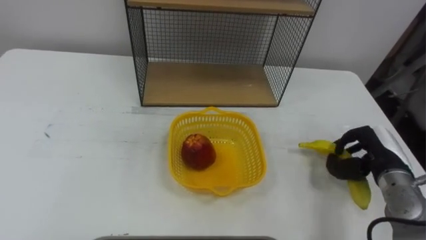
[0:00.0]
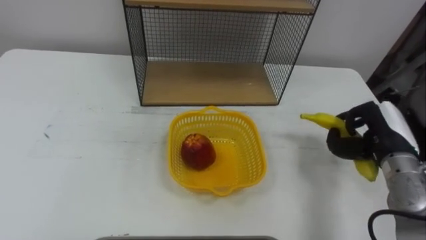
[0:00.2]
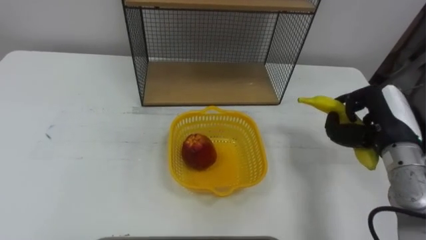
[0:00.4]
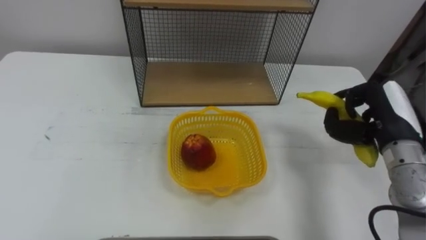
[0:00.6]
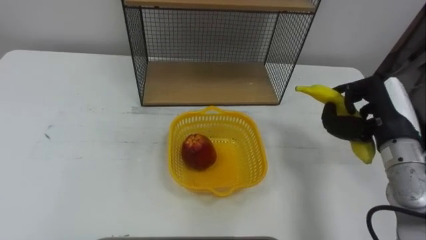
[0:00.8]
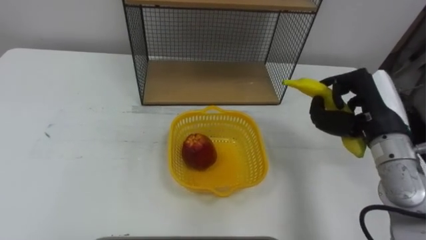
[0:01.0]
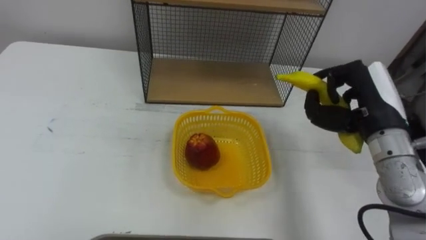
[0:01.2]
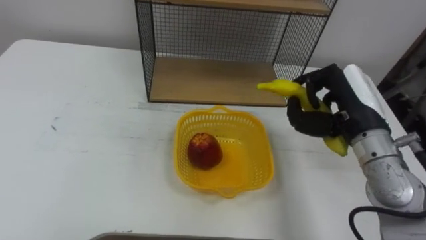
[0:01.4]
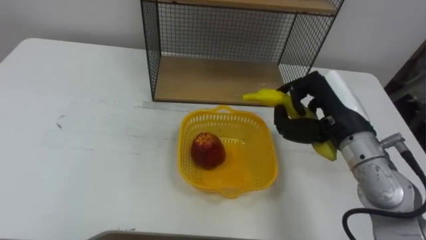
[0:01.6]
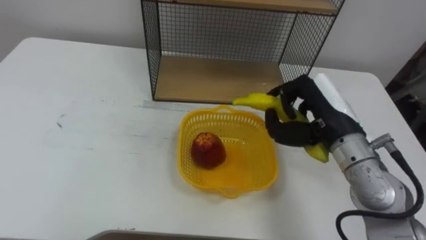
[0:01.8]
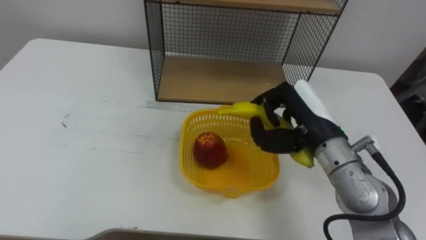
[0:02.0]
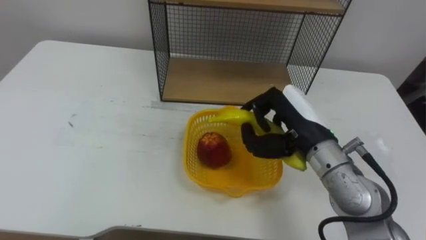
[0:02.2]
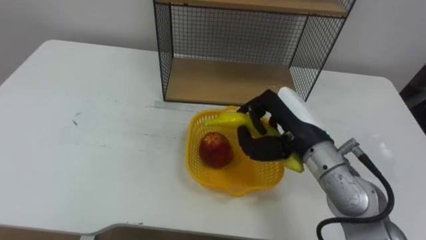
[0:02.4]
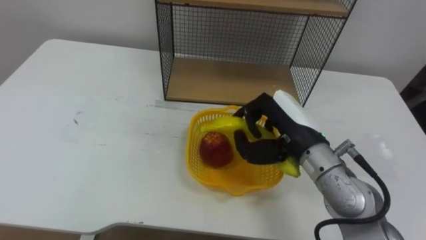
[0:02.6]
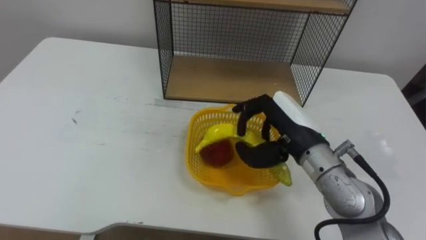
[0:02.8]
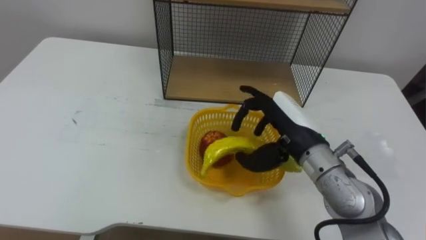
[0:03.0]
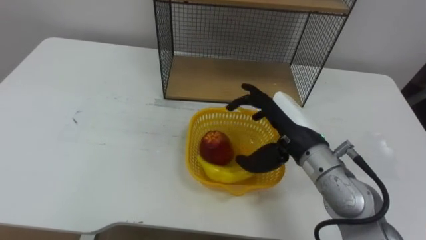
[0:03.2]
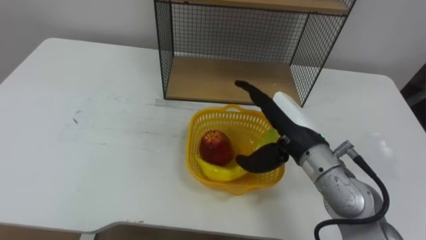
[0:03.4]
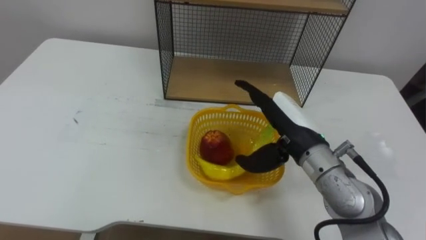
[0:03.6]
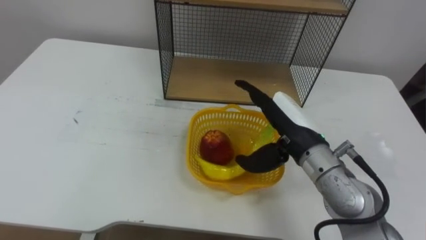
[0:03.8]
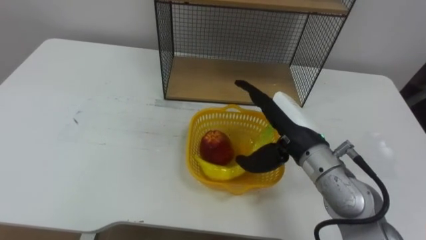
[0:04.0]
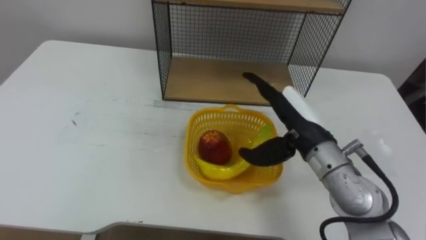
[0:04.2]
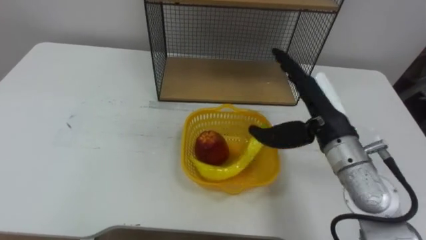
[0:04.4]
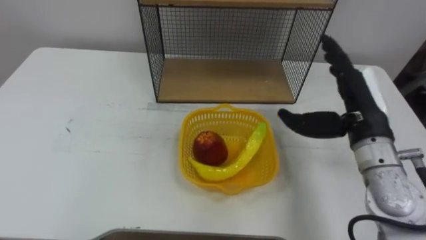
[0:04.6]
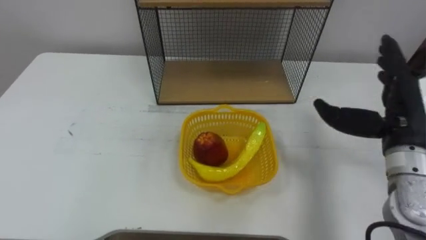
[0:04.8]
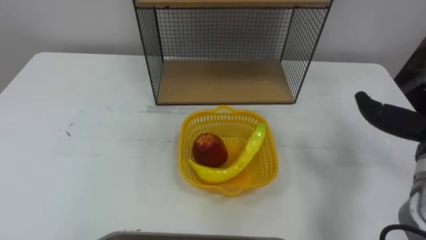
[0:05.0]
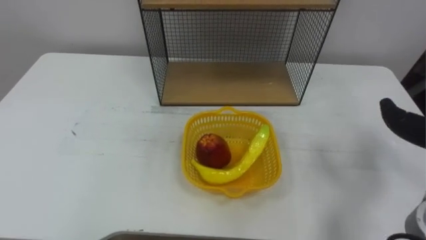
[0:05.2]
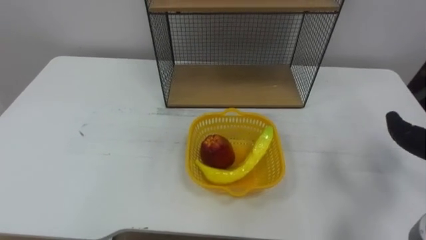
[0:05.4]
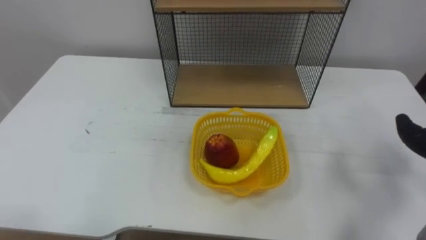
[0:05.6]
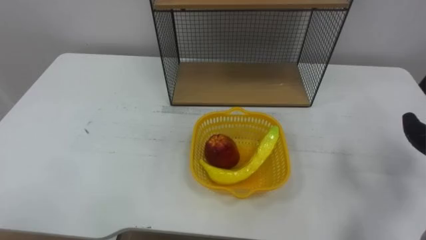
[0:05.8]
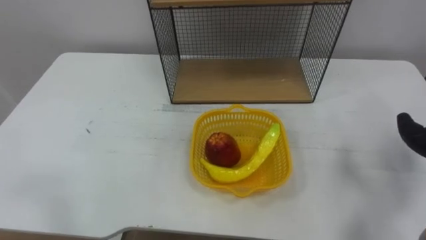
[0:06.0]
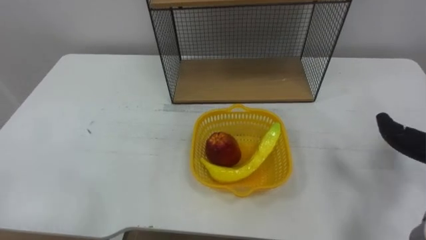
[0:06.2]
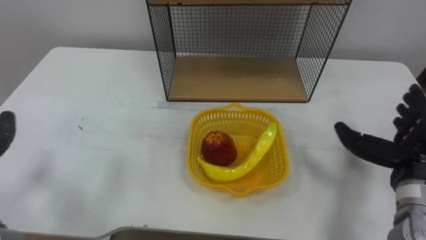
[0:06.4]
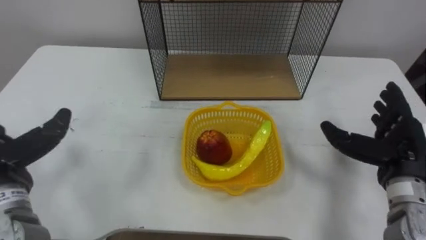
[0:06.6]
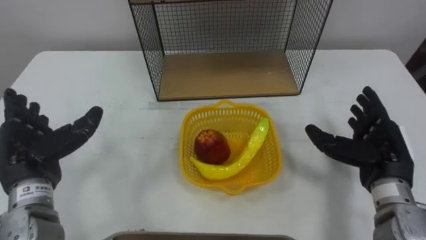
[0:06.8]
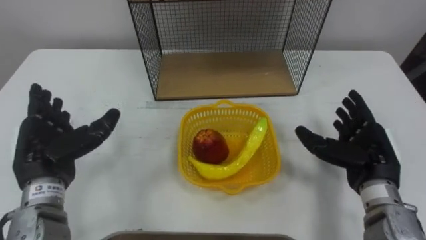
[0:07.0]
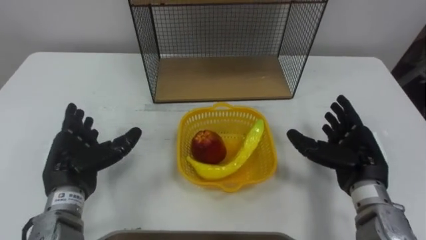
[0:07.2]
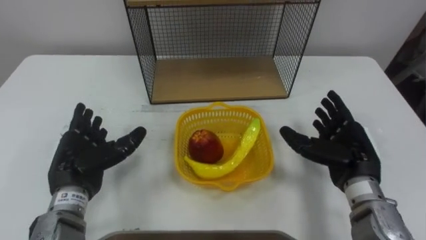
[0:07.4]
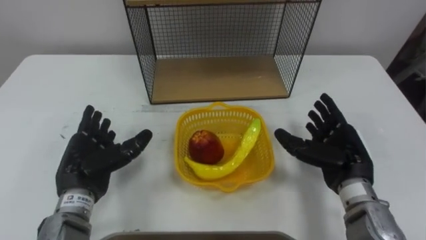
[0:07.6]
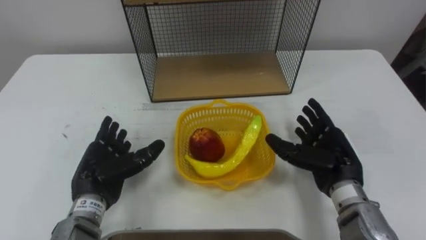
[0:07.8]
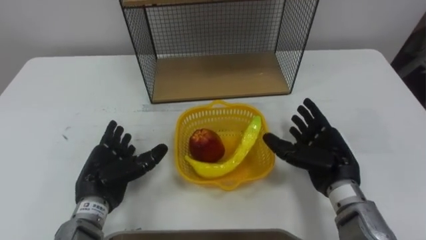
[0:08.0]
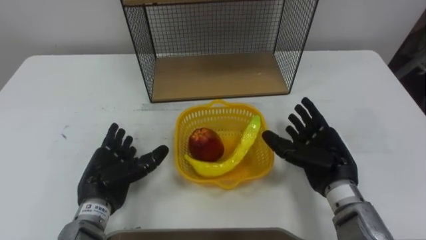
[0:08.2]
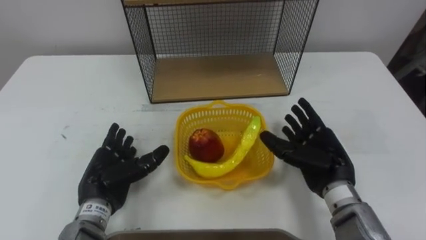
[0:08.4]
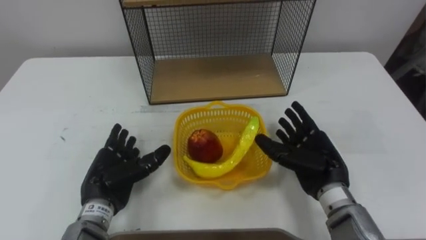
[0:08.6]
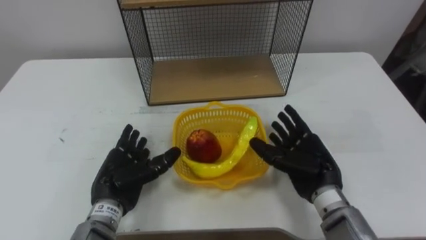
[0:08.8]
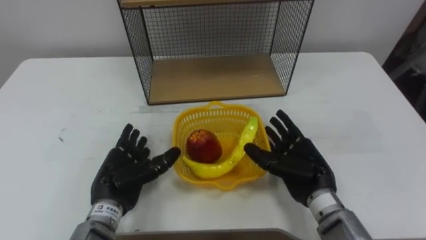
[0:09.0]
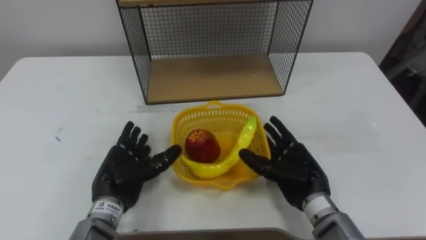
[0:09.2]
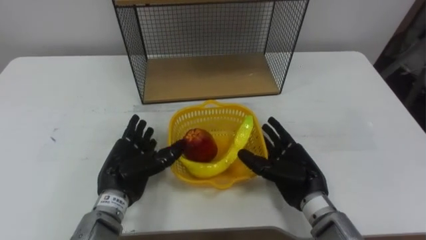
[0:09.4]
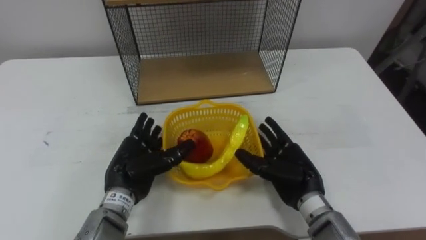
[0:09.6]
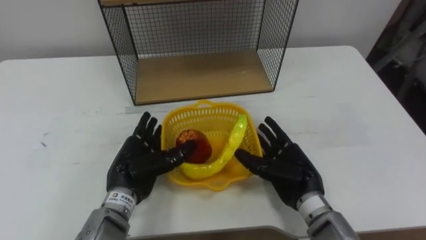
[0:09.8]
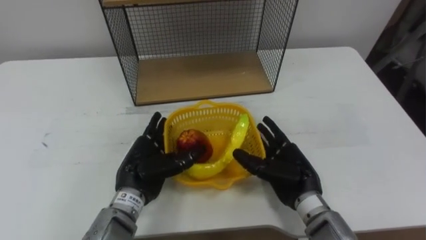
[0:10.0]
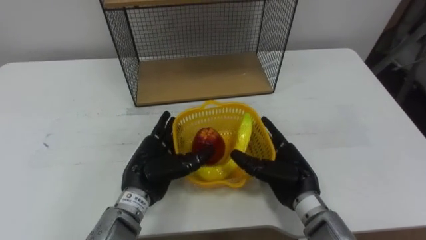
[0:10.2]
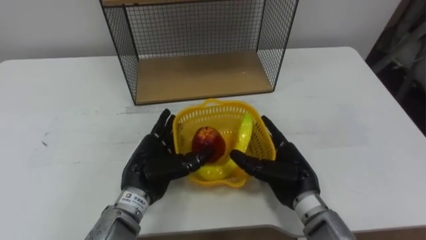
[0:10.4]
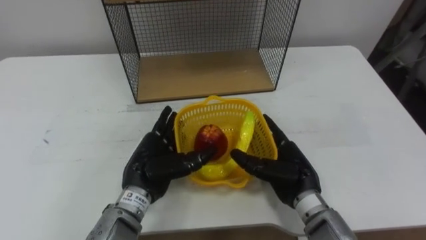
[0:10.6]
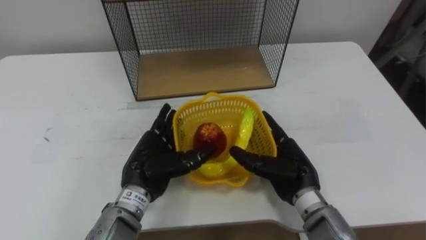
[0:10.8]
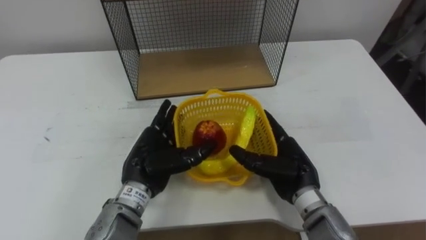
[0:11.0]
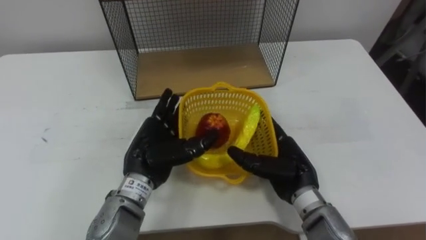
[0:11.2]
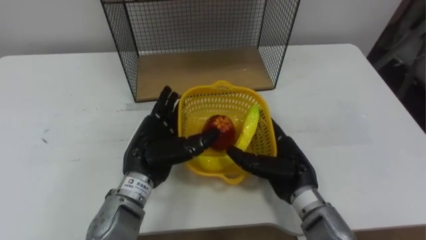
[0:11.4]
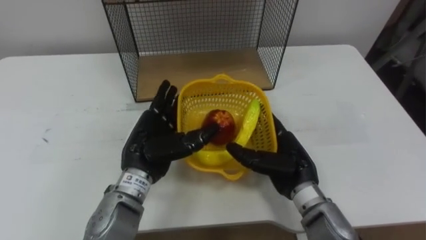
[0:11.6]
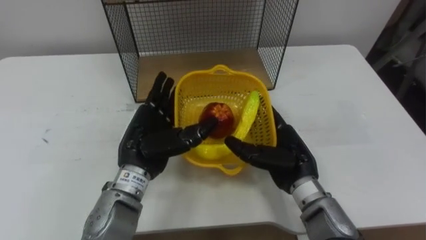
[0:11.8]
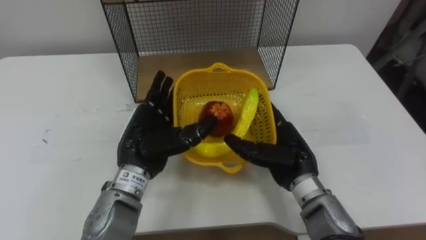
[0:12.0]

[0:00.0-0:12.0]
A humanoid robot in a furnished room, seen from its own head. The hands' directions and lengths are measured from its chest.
Task of the whole recording: Put the fruit on the table into the basket, then place the basket on the shelf.
0:00.0 to 0:01.6: The right hand heads upward and to the left, covering about 15 cm.
0:01.6 to 0:03.0: The right hand moves to the left, approximately 5 cm, and opens its fingers.
0:03.0 to 0:04.4: The right hand changes place by roughly 5 cm.
0:07.6 to 0:09.0: The left hand changes place by approximately 5 cm. Meanwhile the right hand shifts roughly 5 cm to the left.
0:09.0 to 0:10.4: The left hand goes some 5 cm to the right.
0:10.4 to 0:12.0: The left hand goes approximately 5 cm upward.

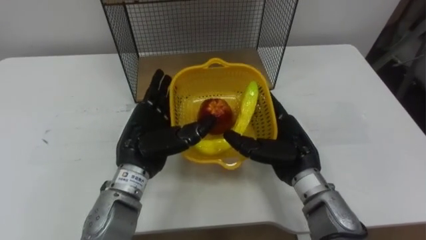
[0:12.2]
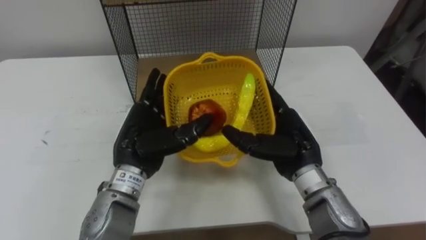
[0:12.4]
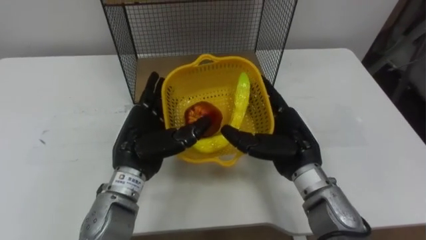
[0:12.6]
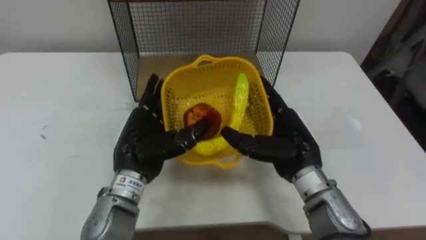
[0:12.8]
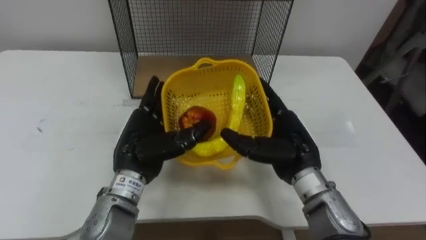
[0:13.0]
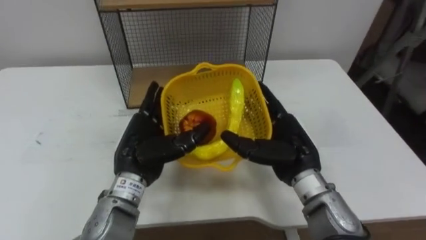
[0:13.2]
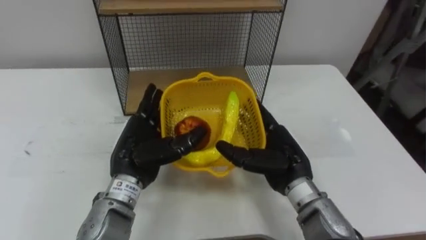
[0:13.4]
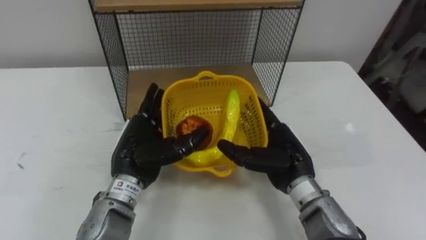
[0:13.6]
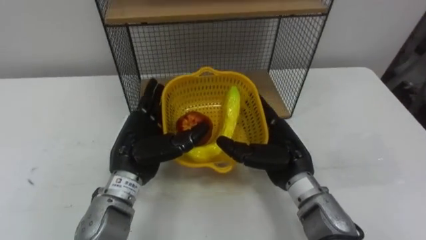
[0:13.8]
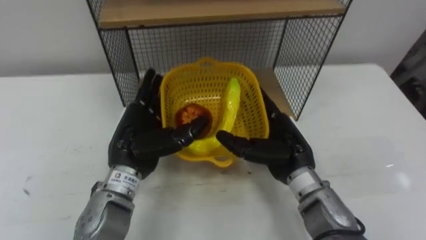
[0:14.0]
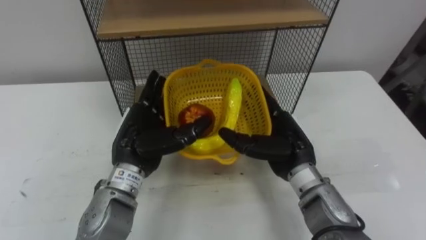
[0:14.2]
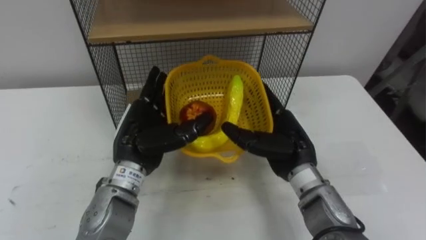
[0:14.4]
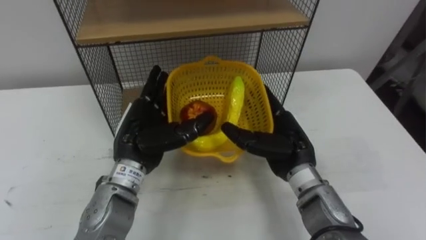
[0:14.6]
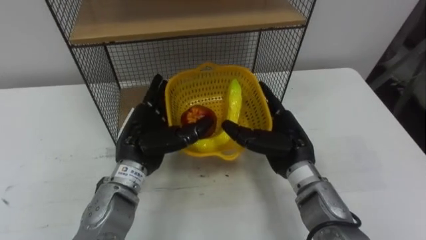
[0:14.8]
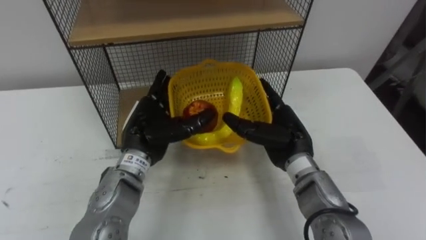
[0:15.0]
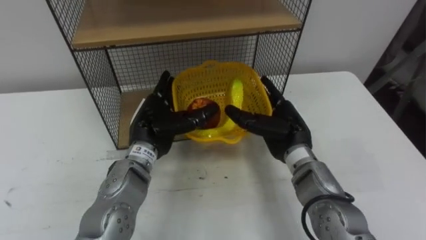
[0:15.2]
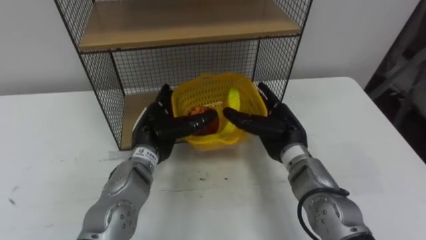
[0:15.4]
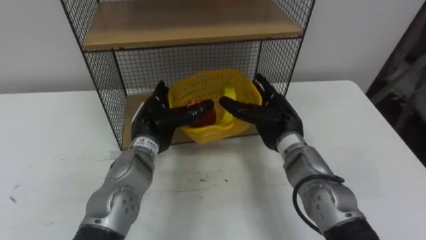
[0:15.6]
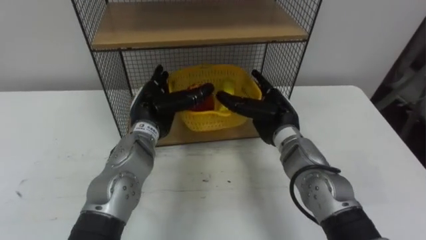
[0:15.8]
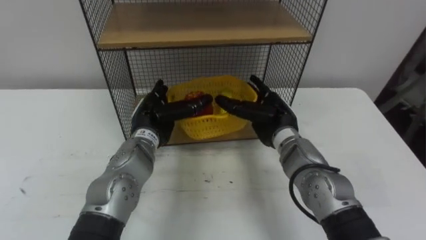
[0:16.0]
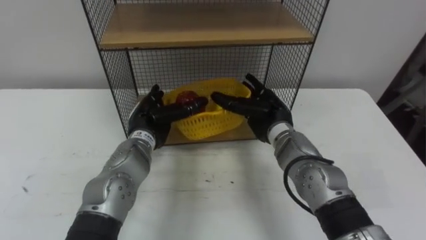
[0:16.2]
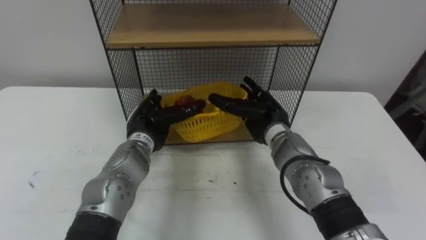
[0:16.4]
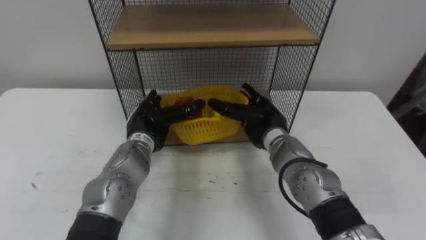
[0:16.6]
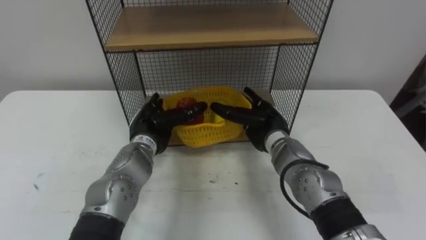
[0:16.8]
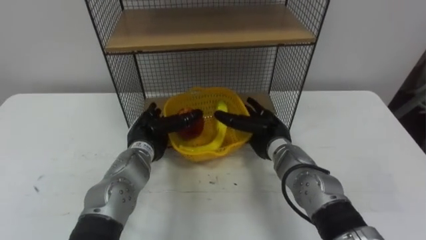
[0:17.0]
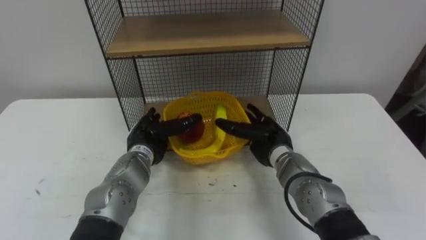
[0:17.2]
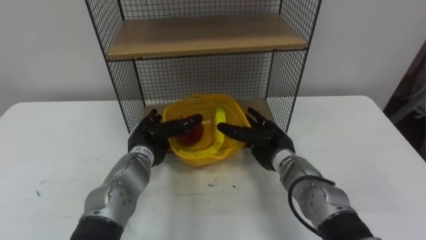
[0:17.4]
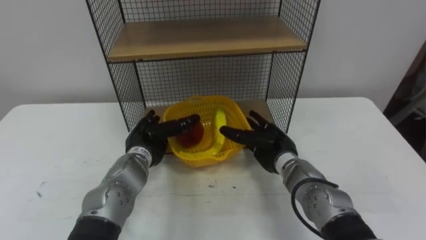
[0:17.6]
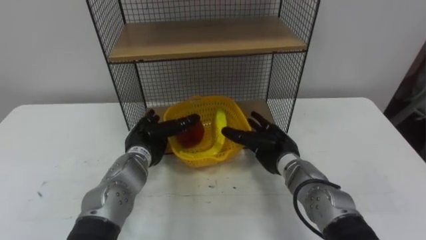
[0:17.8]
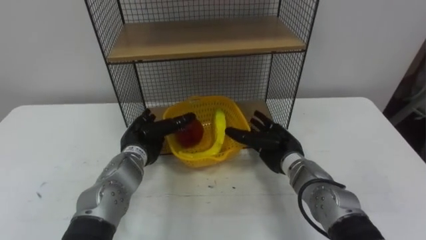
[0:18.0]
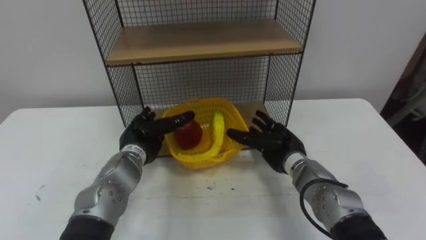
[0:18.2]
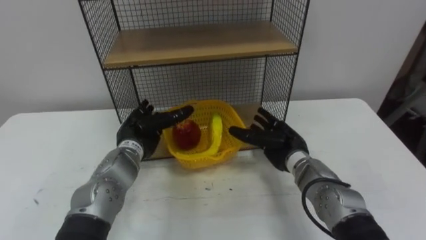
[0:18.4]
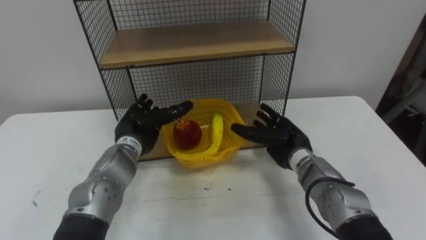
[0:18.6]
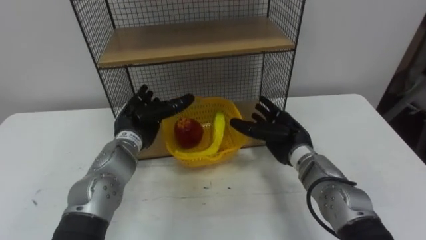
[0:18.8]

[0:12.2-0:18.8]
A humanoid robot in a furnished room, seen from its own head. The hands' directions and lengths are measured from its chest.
Task of the whole recording: Put the fruit on the table into the basket, then place the basket on the shelf.
0:13.8 to 0:15.4: Both hands move forward, approximately 5 cm.
0:15.4 to 0:17.2: The left hand changes place by some 5 cm; the right hand changes place by about 5 cm.
